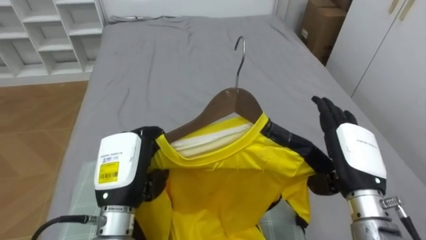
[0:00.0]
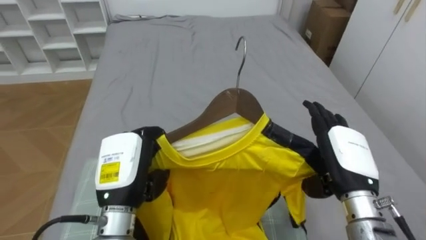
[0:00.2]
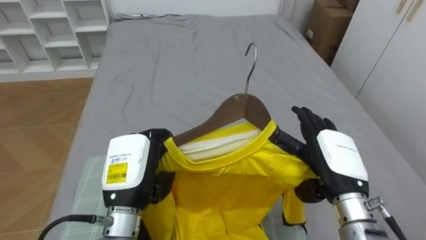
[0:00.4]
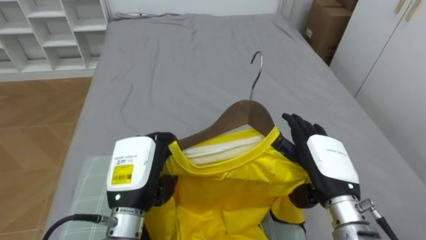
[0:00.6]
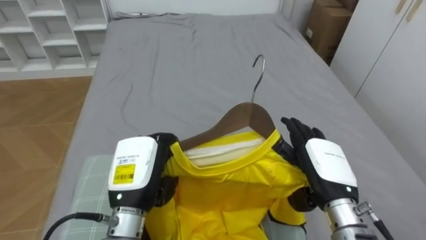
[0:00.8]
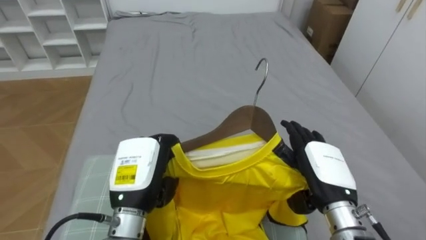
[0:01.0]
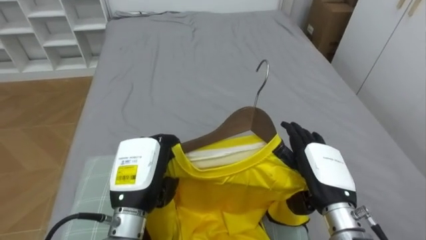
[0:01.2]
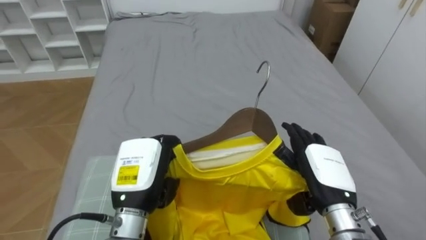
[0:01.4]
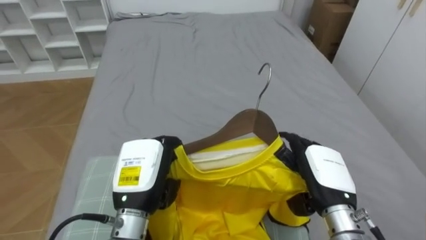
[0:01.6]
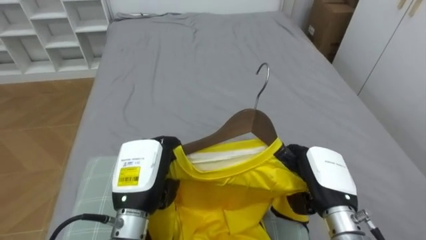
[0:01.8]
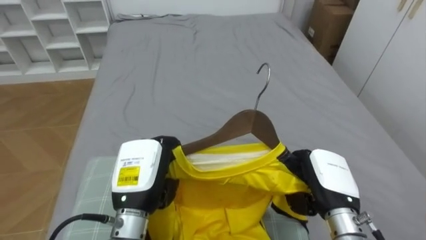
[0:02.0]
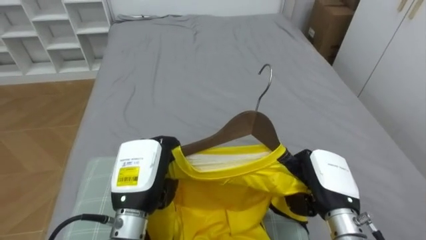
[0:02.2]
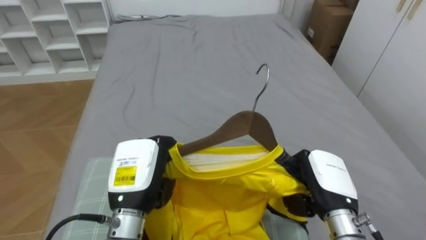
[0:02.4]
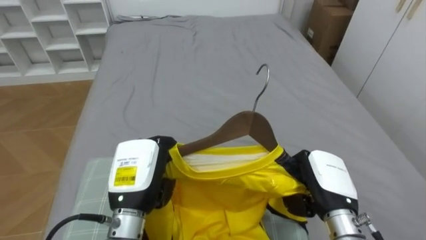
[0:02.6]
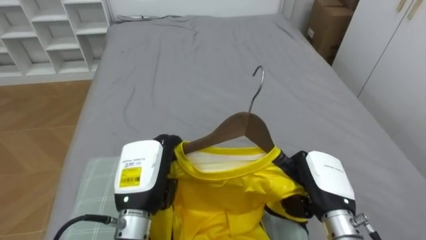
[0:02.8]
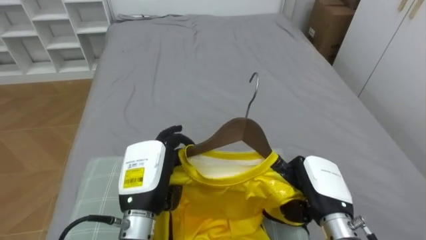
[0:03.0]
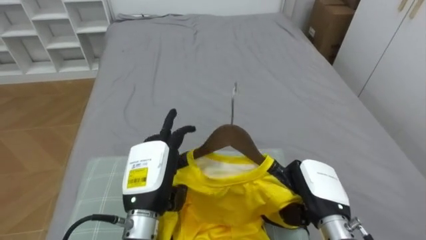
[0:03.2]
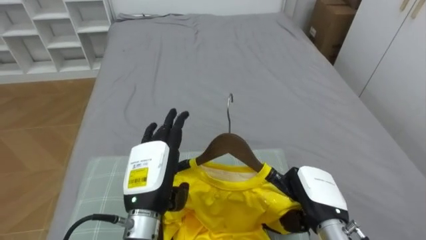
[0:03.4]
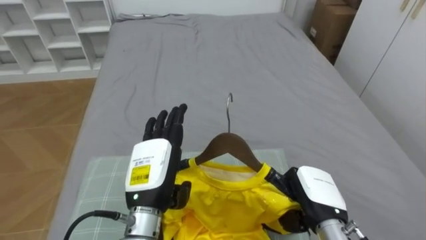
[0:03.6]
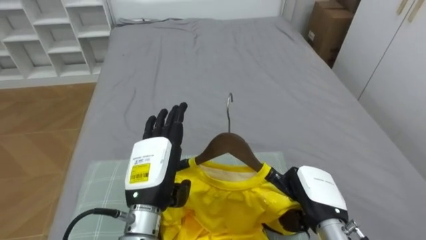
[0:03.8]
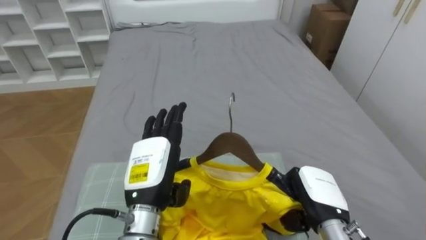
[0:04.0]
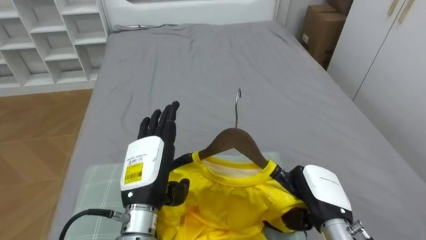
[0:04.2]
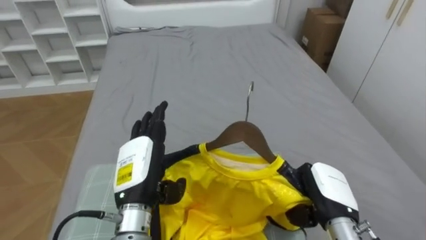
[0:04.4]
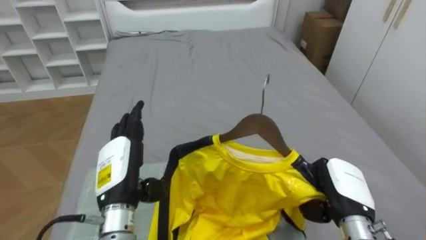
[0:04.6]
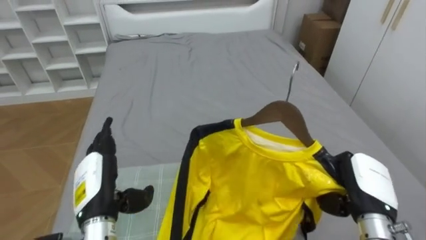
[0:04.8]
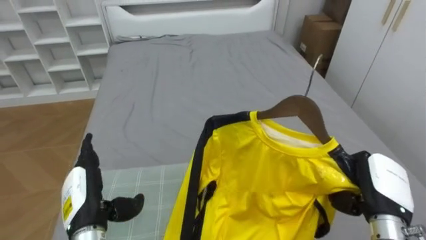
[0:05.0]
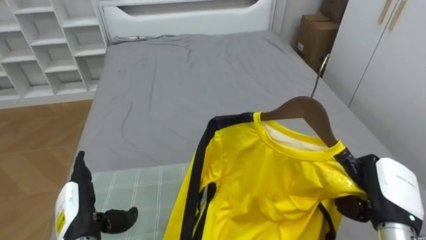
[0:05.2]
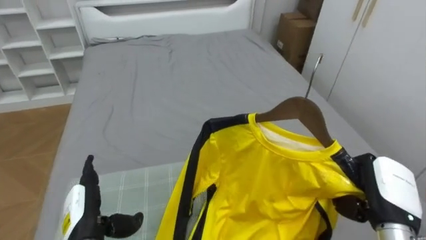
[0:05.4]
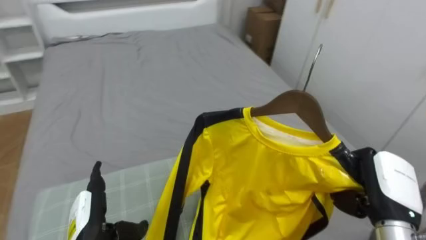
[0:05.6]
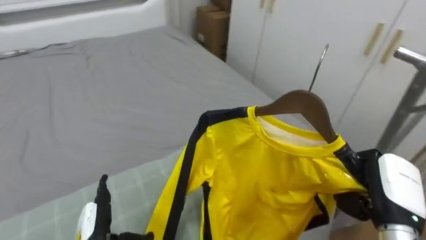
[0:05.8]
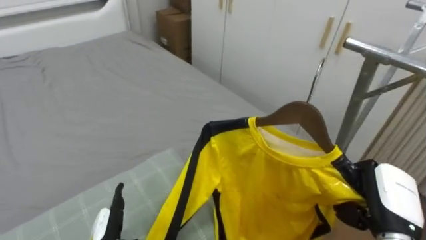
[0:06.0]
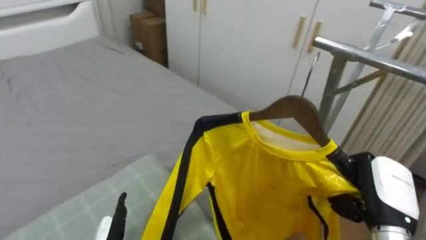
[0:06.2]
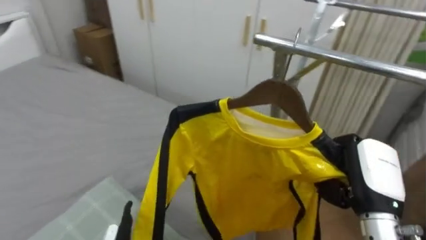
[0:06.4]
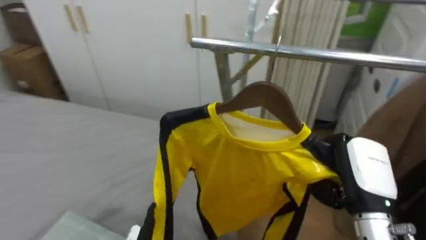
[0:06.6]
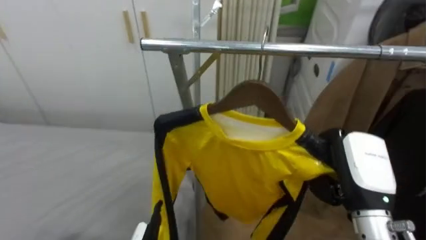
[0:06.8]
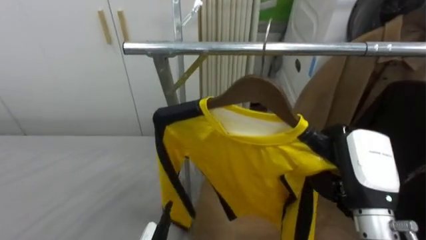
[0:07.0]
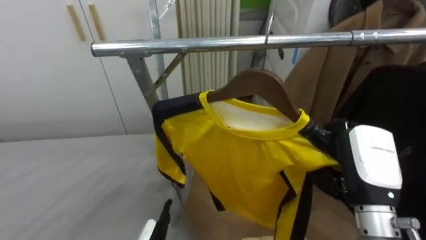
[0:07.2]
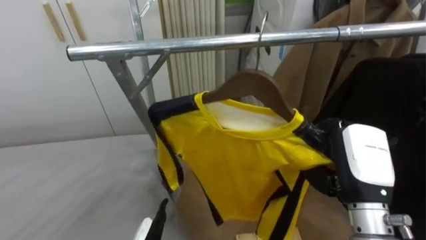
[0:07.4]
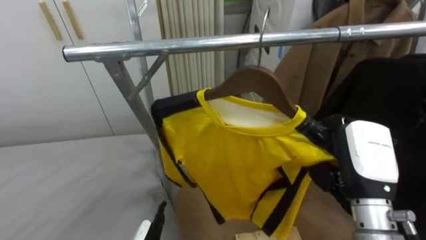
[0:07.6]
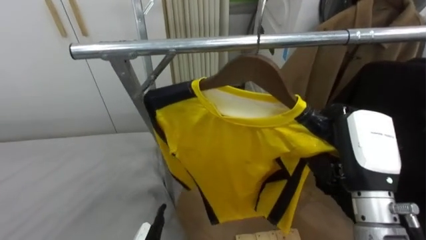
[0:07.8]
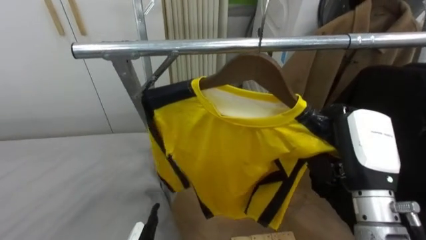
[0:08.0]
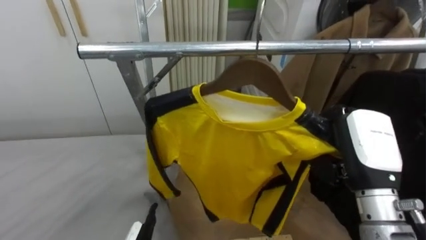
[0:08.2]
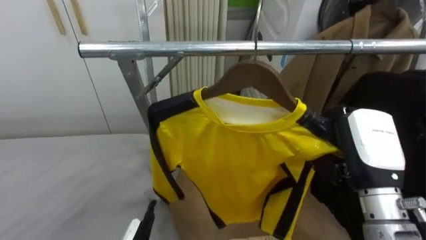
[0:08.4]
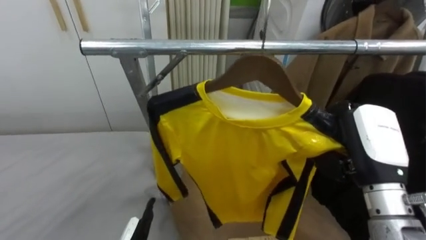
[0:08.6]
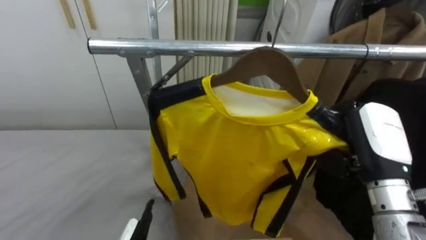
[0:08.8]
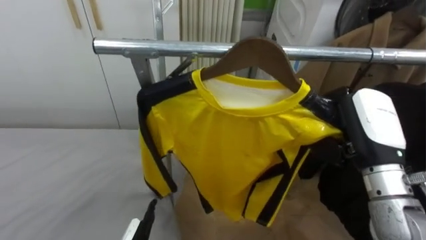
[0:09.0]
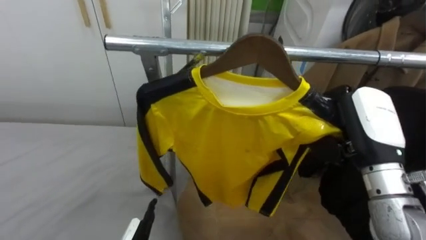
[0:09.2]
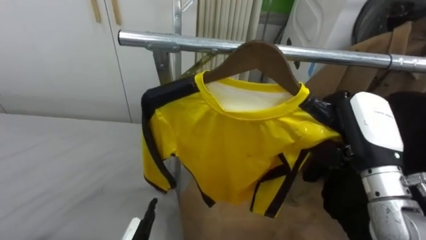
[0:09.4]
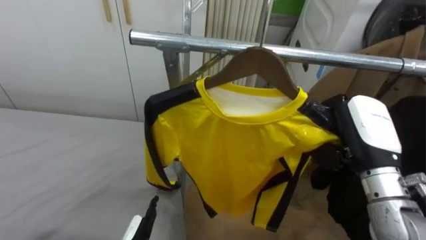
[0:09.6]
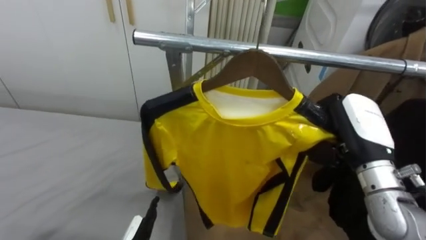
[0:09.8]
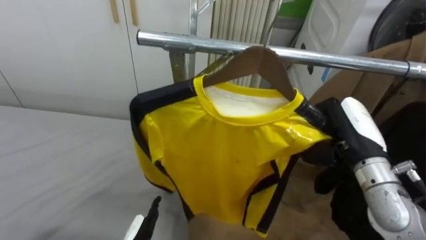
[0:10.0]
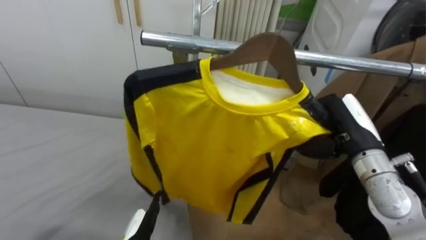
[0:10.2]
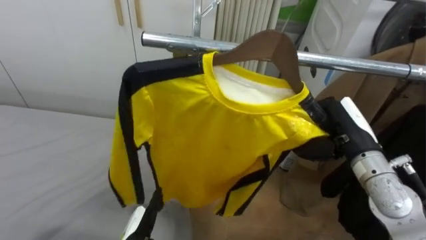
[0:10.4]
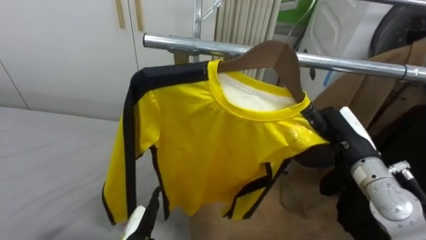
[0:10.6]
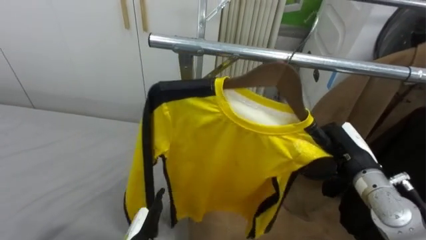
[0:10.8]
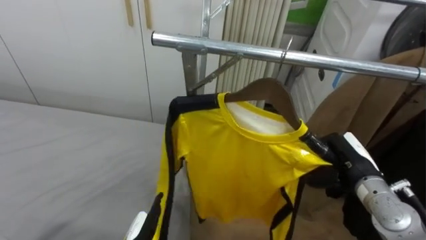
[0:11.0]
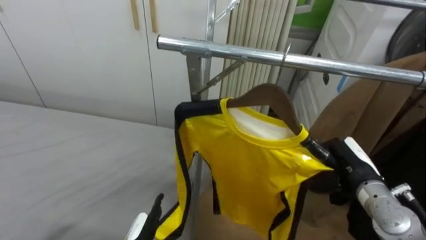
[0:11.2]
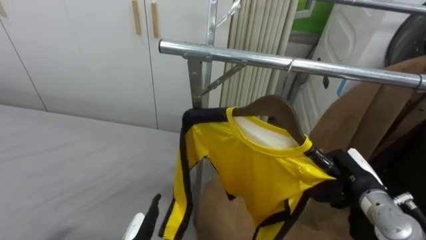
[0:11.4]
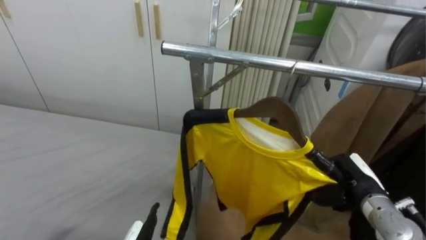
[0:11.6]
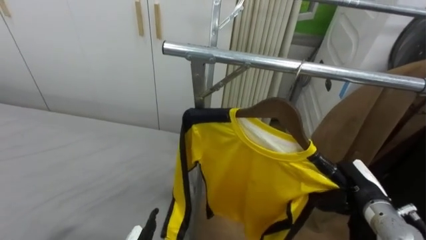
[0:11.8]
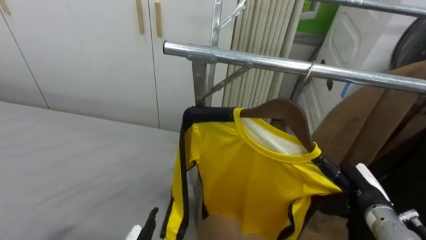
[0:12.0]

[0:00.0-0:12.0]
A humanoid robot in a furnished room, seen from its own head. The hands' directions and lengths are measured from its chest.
Task of the whole recording: Pick up the yellow shirt on the bed and hang it on the clothes rack on the right.
0:00.0 to 0:01.6: The right hand shifts by about 5 cm.
0:01.6 to 0:03.0: The left hand opens up. The right hand closes.
0:03.0 to 0:04.4: The left hand opens its fingers.
0:04.4 to 0:06.0: The robot faces approximately 30 degrees further to its right. The right hand moves to the right, roughly 10 cm.
0:06.0 to 0:07.6: The robot's body swings about 55 degrees to its right. The right hand travels upward and to the left by some 10 cm.
0:09.0 to 0:10.4: The right hand ends up some 5 cm from where it was.
0:10.4 to 0:12.0: The right hand heads downward, covering approximately 15 cm.

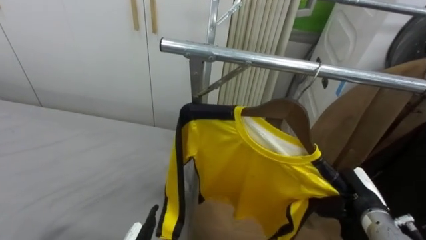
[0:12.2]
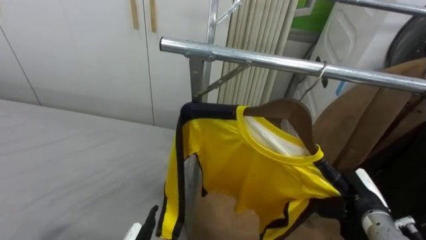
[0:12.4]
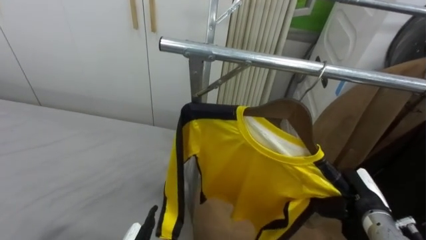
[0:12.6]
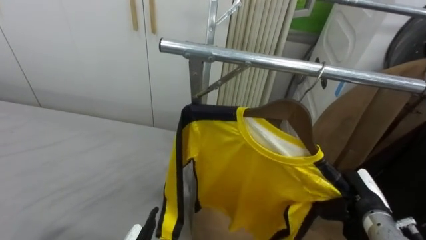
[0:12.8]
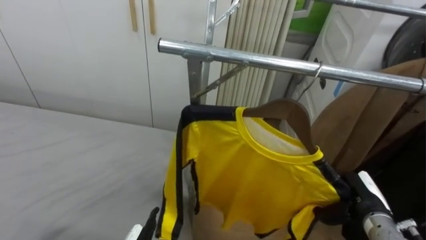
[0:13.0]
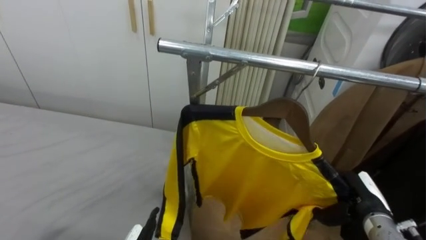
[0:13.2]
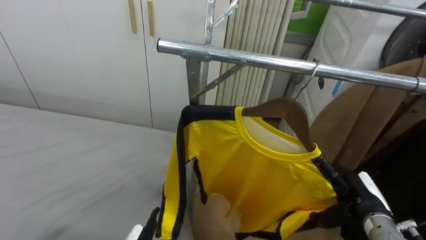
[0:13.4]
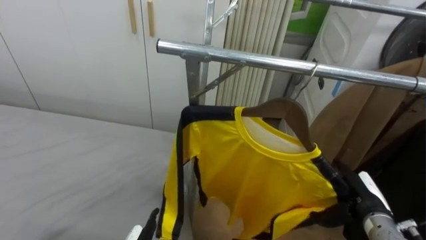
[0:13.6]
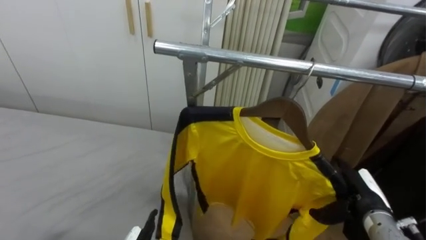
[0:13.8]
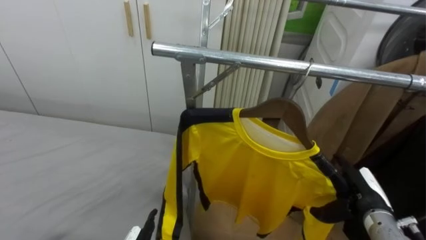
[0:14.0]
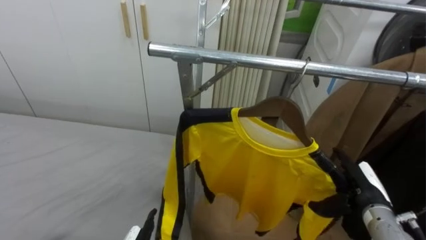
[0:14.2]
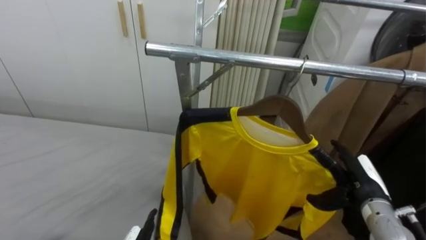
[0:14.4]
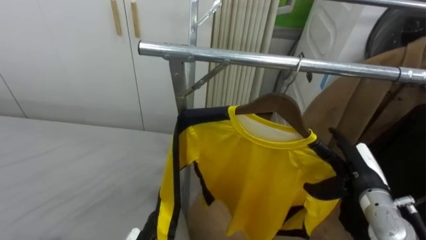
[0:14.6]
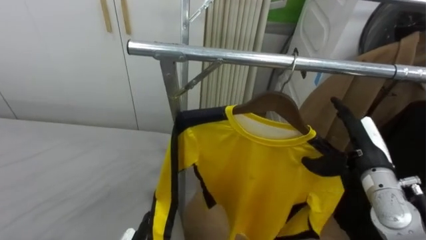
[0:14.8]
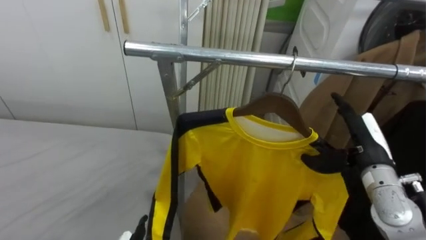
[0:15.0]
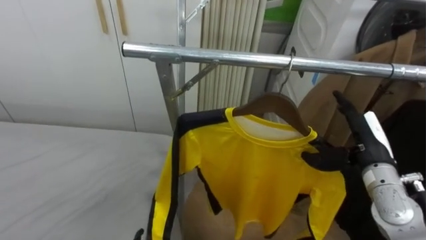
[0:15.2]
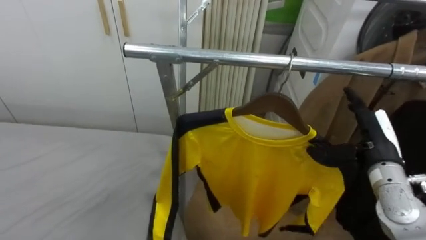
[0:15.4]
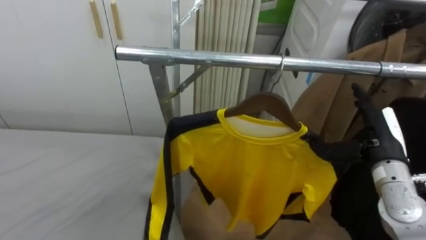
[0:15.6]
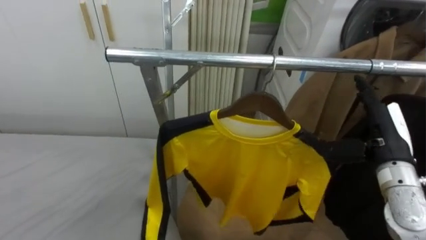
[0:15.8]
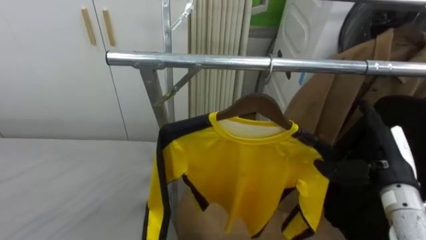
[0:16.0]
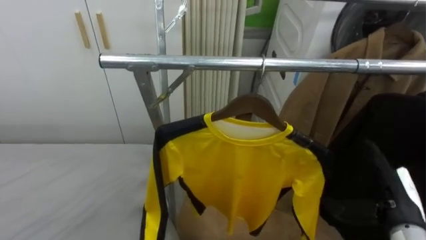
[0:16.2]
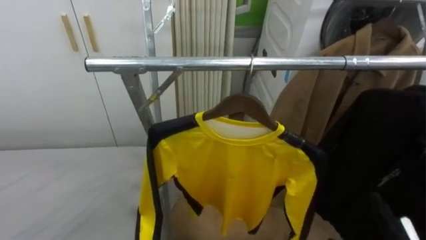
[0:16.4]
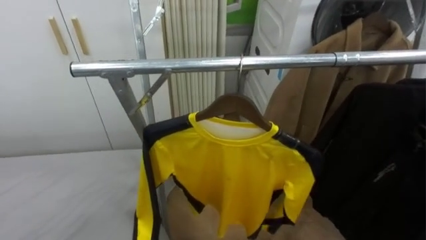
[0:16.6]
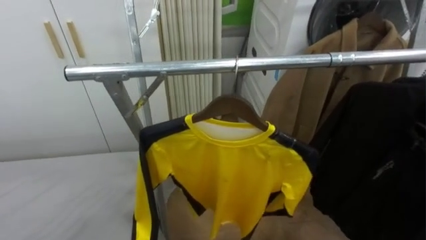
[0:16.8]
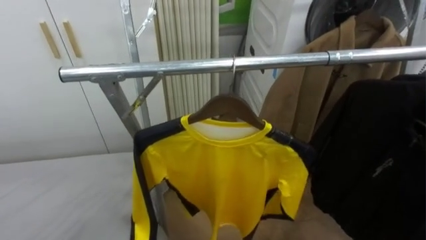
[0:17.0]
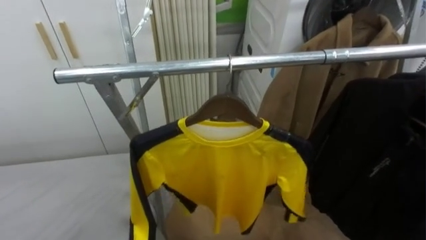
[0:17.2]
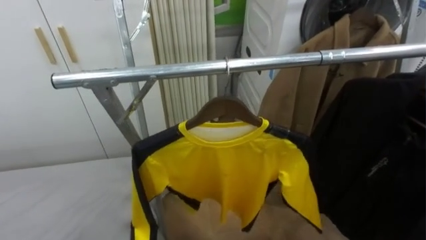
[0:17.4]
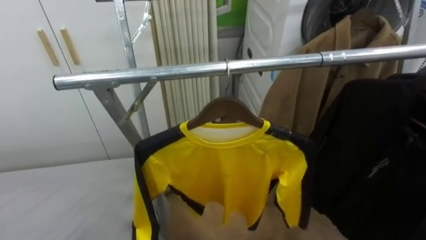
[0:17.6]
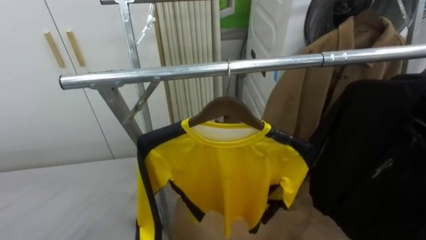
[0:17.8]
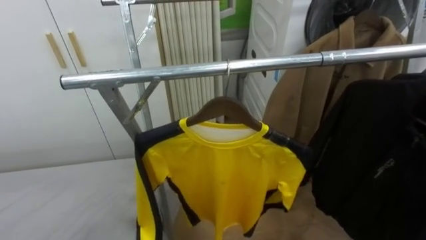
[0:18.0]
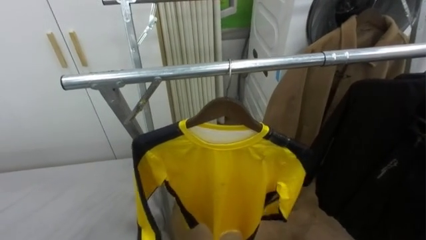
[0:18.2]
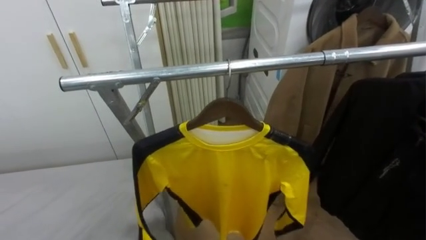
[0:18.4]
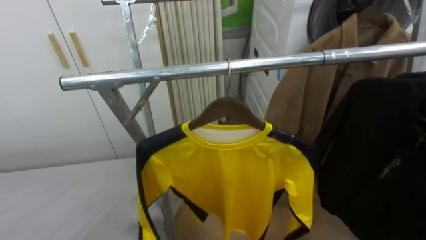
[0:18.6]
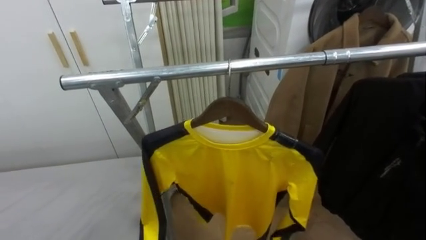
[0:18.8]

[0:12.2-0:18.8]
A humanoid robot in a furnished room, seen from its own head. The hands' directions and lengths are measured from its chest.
Task of the whole recording: Pick up the yellow shirt on the bed and hang it on the clothes rack on the right.
0:12.2 to 0:13.8: The right hand opens its fingers.
0:13.8 to 0:15.4: The right hand goes about 10 cm upward.
